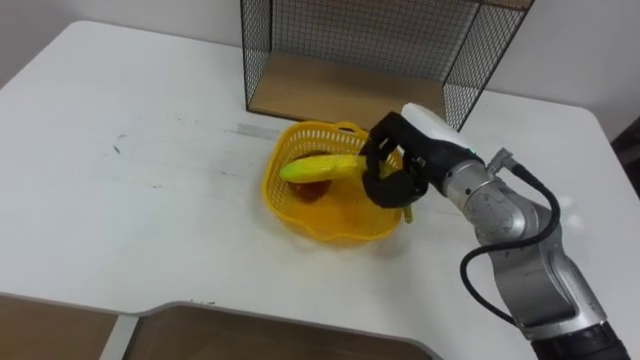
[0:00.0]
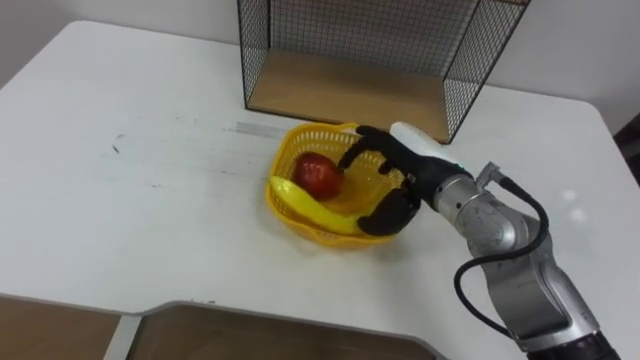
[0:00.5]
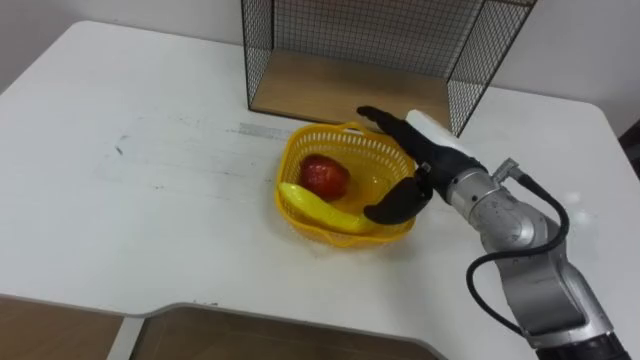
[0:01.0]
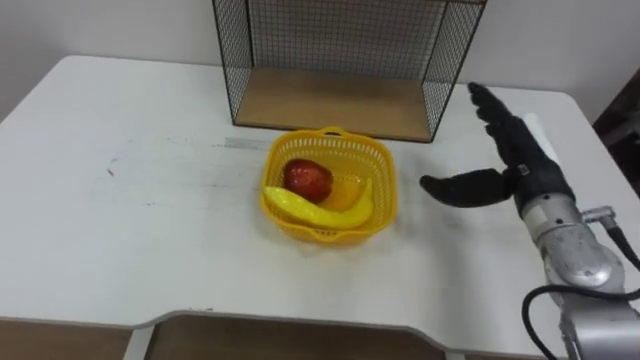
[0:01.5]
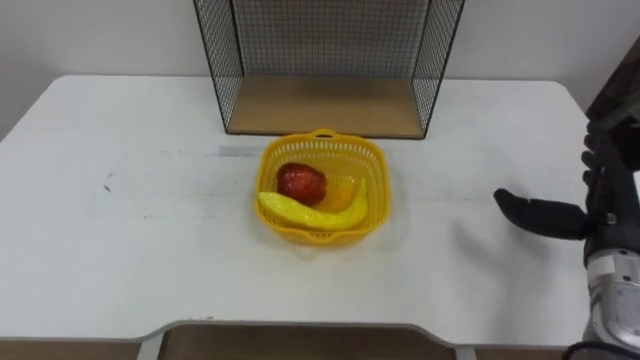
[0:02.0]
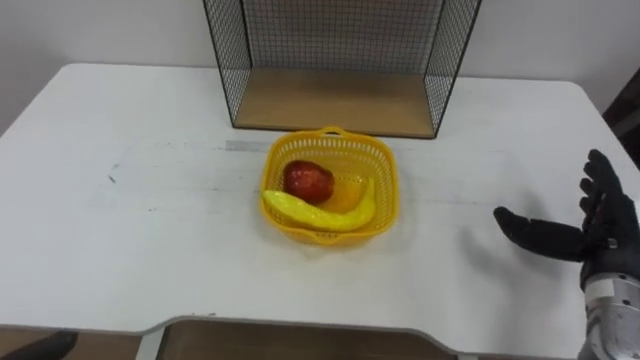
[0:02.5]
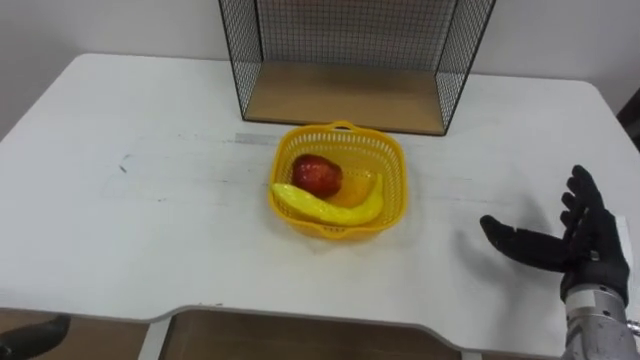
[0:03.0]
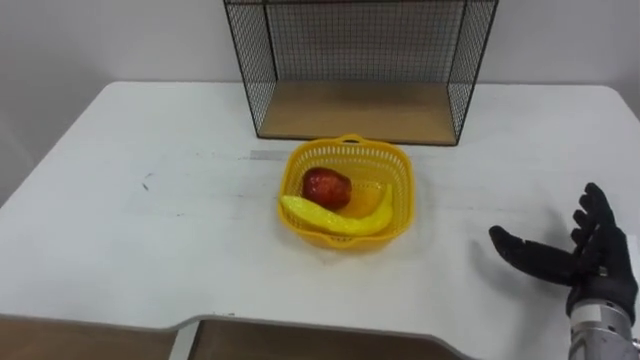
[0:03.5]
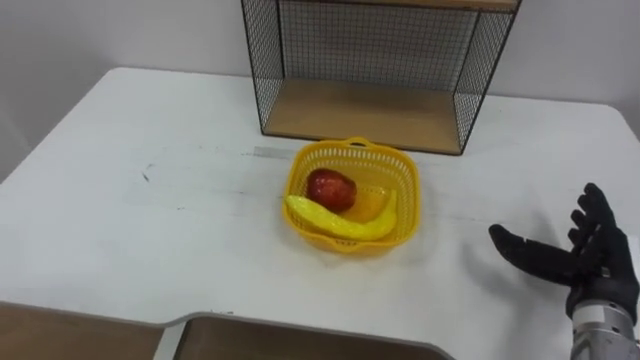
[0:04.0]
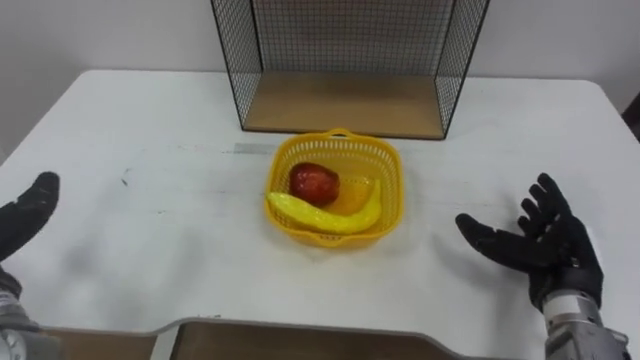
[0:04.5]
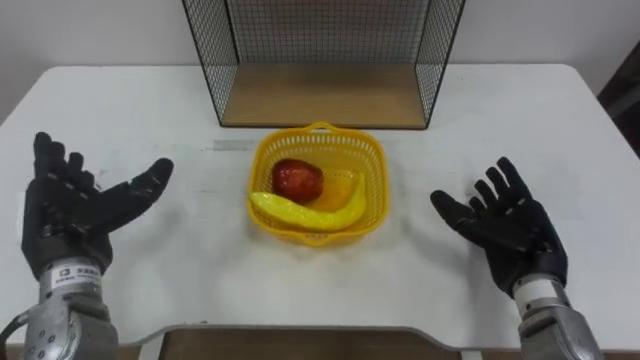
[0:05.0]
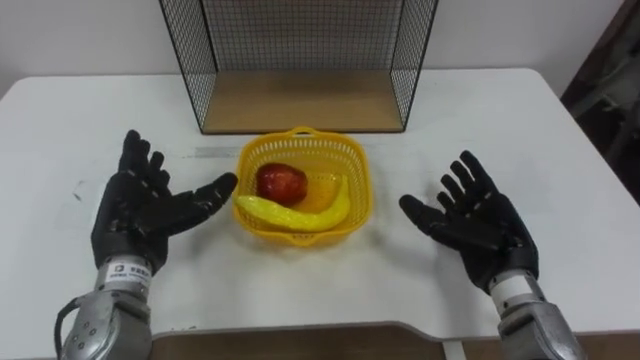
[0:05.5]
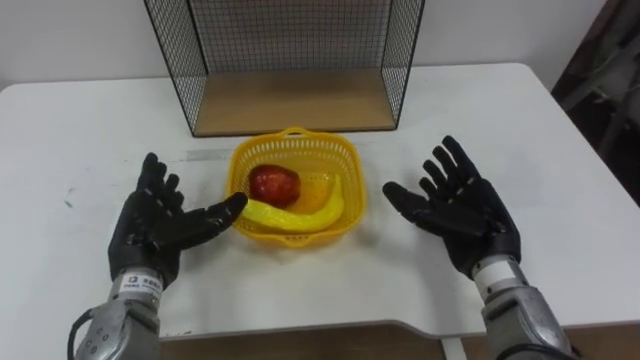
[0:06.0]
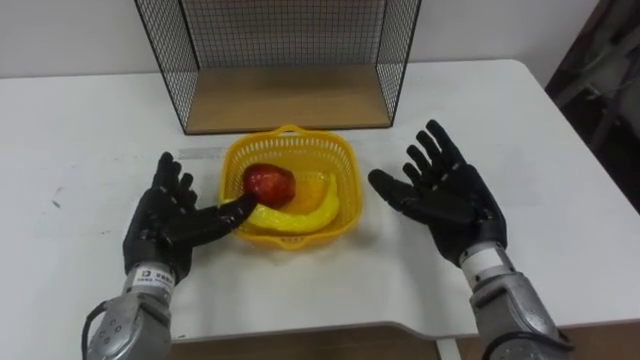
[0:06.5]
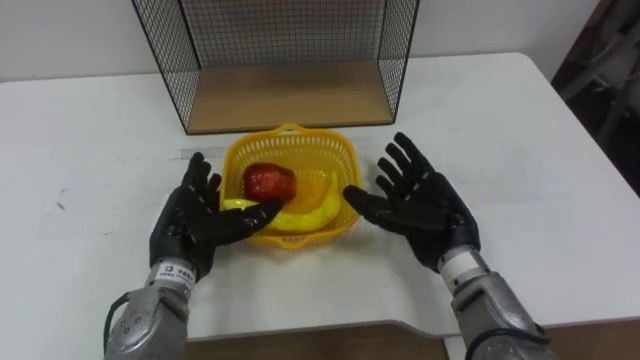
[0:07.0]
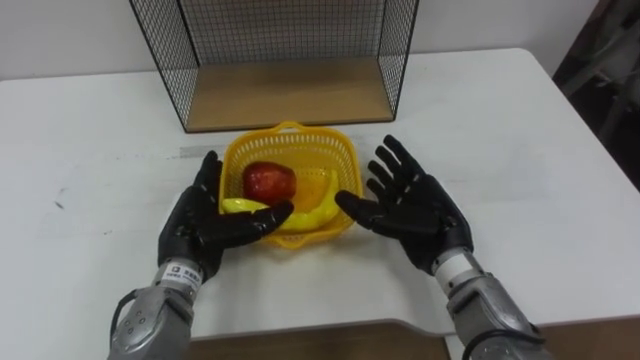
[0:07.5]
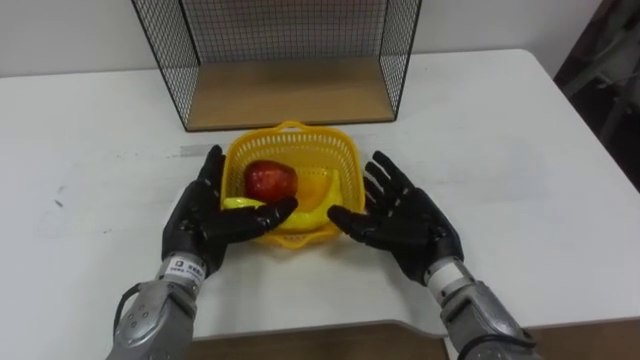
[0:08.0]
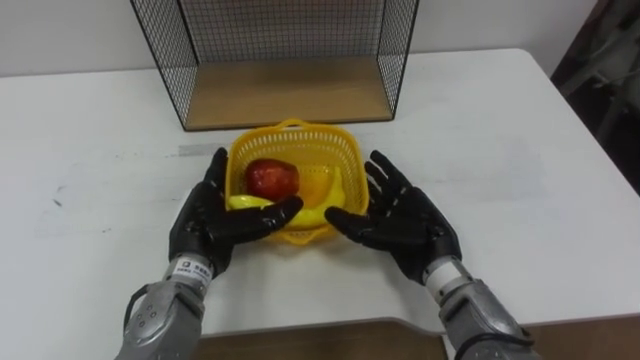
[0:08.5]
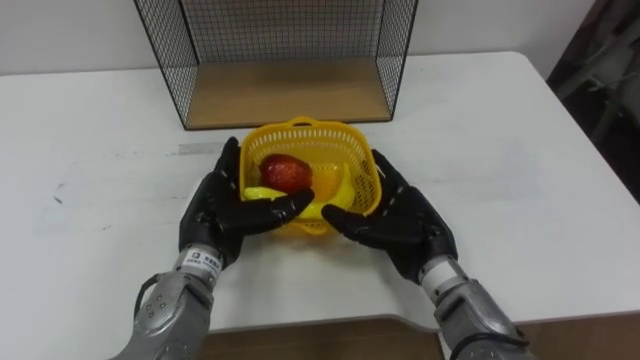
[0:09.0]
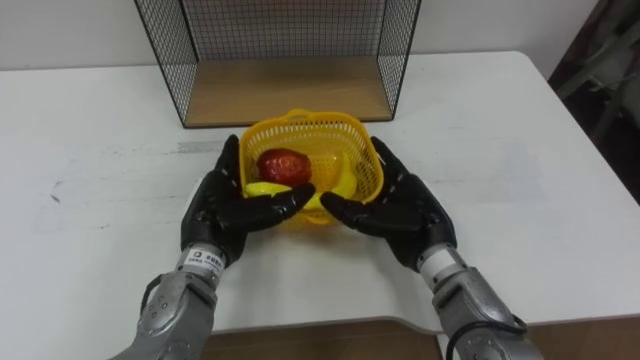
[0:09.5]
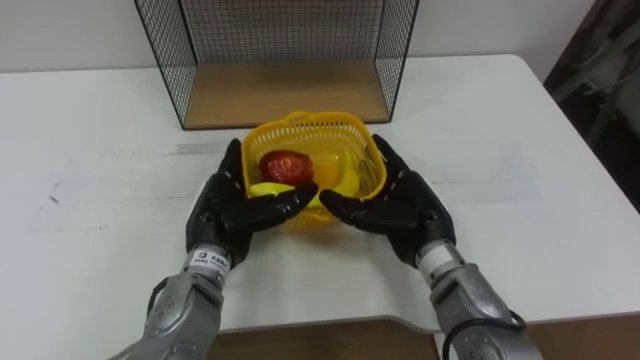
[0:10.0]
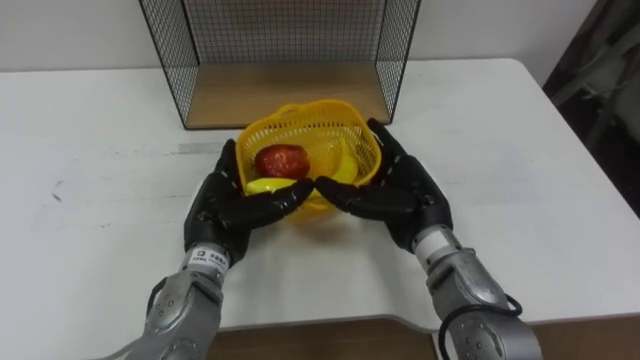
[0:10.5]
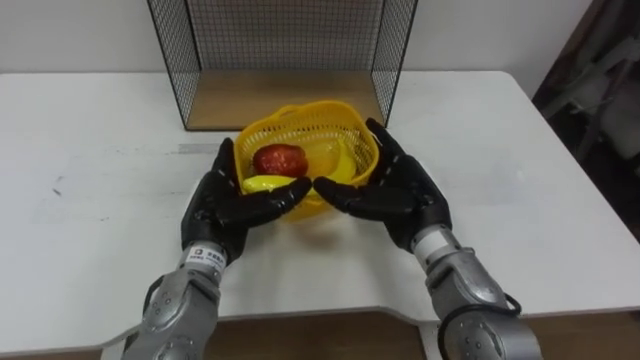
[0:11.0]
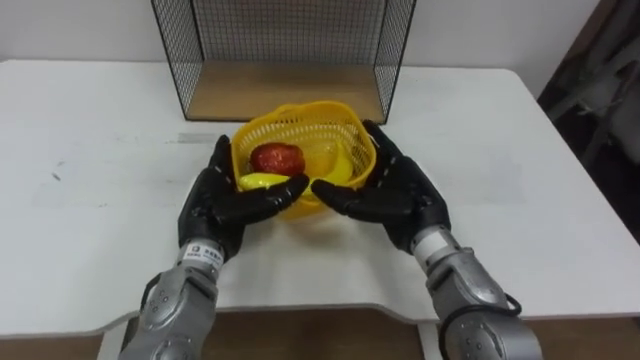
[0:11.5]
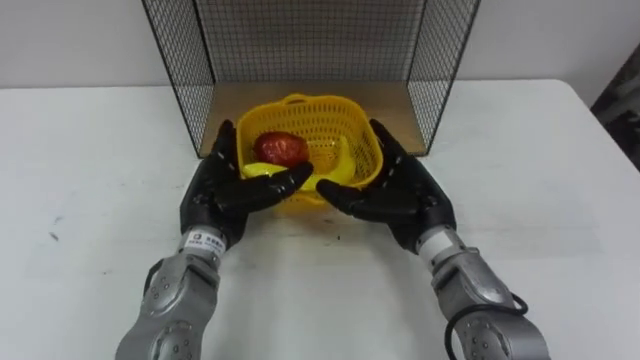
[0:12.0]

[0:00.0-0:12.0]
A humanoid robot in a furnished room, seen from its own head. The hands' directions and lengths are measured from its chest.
Task of the whole recording: Put the fruit on the table into the basket, then place the basket on the shelf.
0:00.0 to 0:02.0: The right hand shifts some 20 cm to the right, and opens.
0:02.0 to 0:04.0: The right hand goes about 5 cm downward.
0:04.0 to 0:06.0: The right hand goes approximately 15 cm to the left and forward.
0:06.0 to 0:08.0: The left hand travels to the right by approximately 5 cm. The right hand heads to the left, covering some 5 cm.
0:08.0 to 0:10.0: There are only small adjustments of the hands.

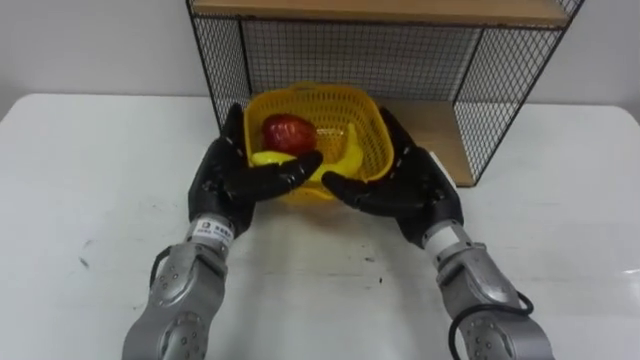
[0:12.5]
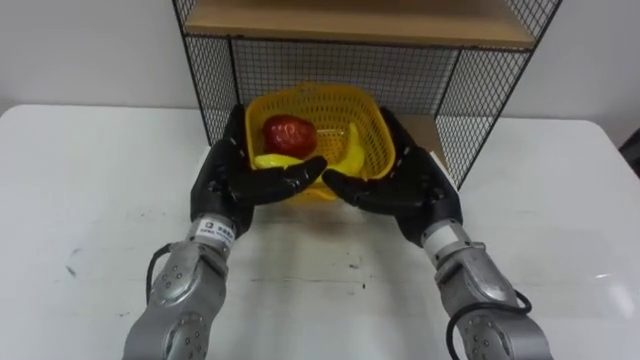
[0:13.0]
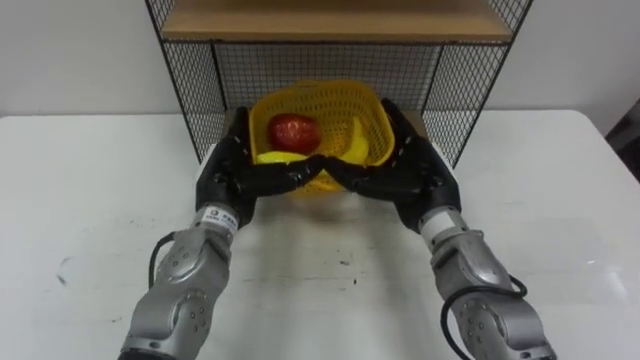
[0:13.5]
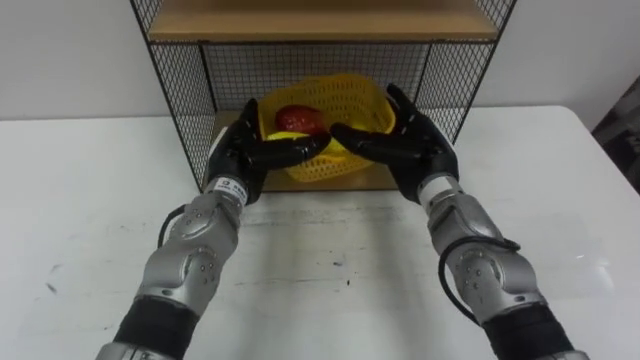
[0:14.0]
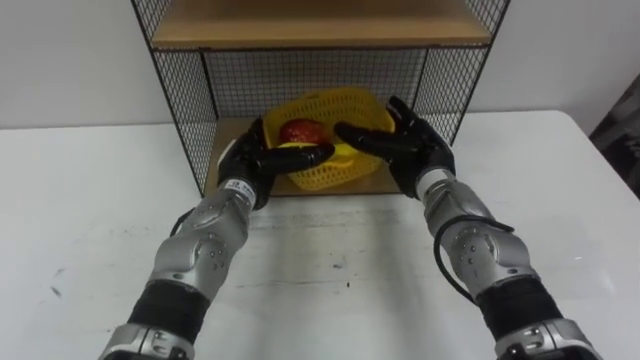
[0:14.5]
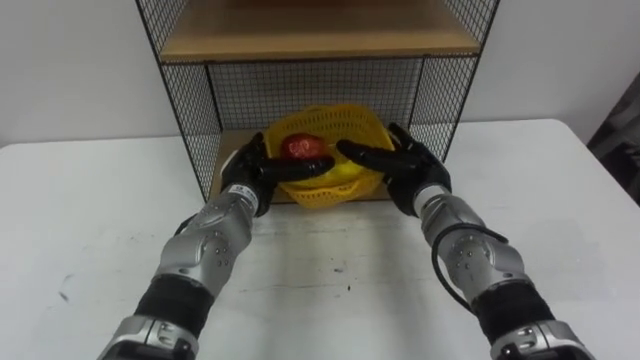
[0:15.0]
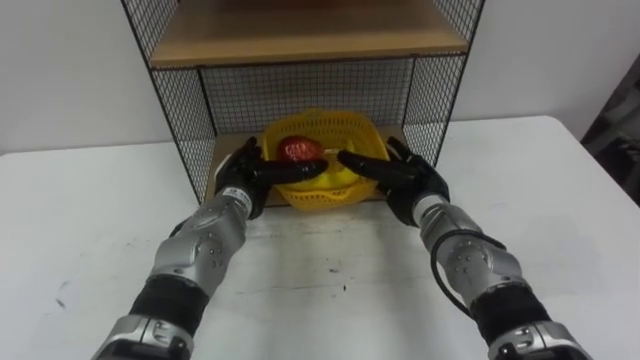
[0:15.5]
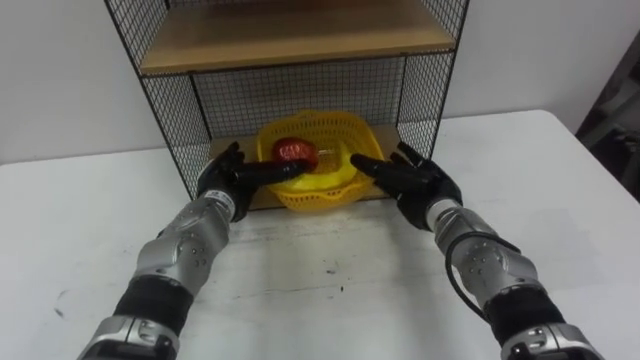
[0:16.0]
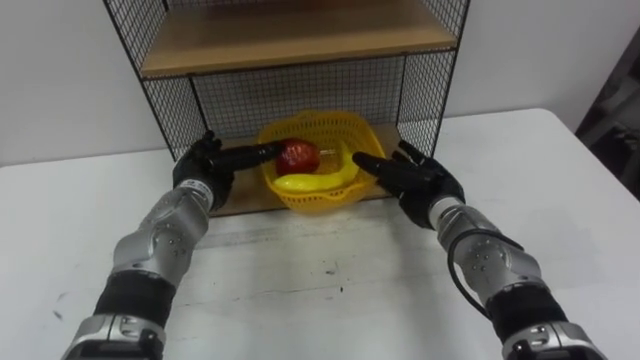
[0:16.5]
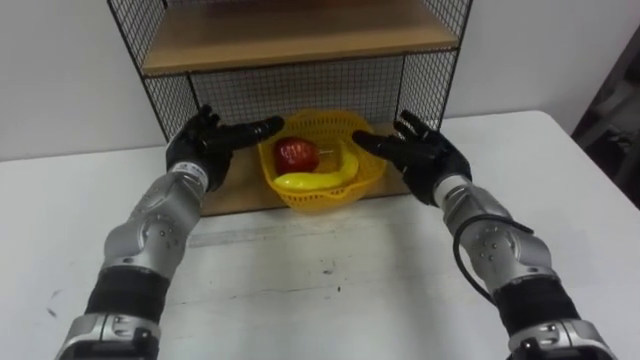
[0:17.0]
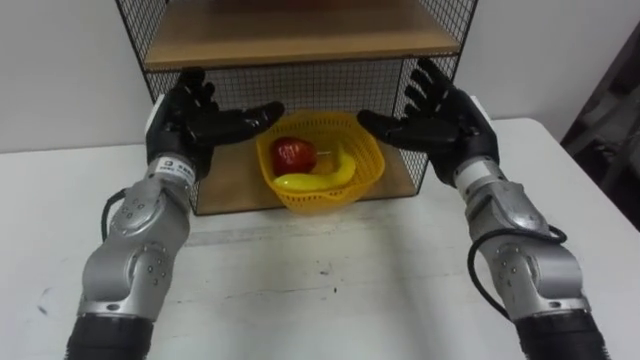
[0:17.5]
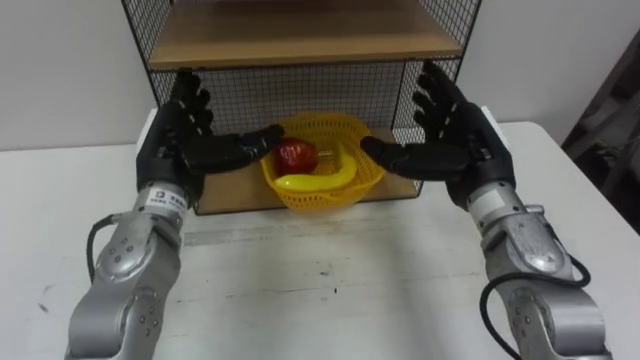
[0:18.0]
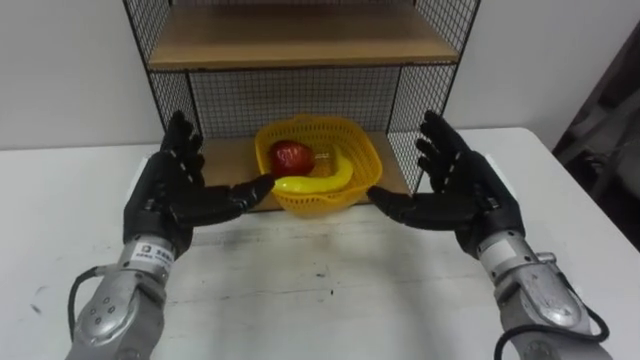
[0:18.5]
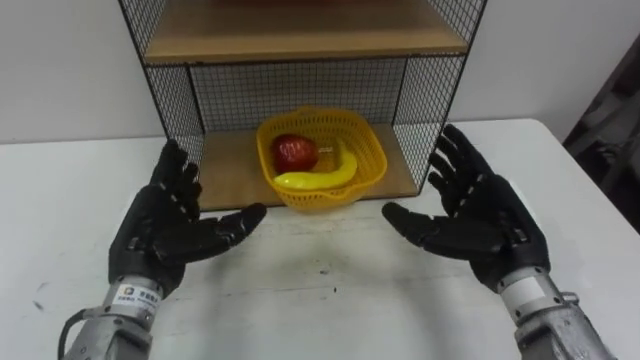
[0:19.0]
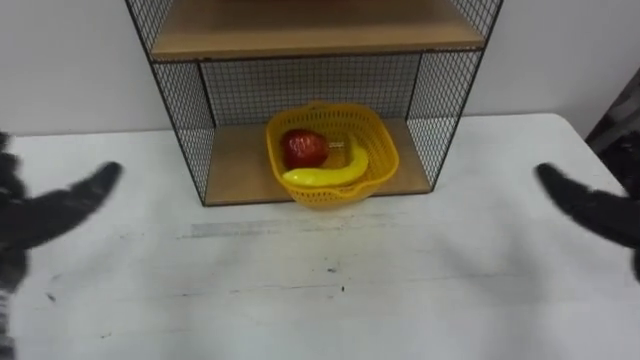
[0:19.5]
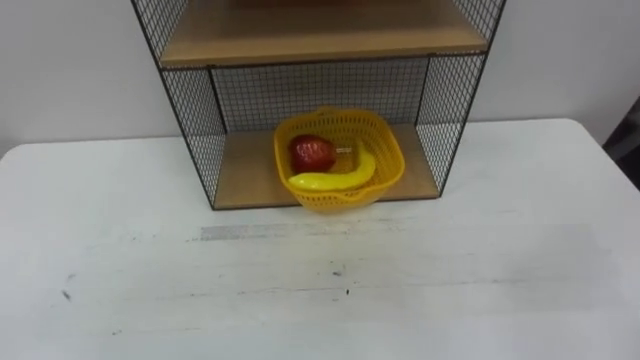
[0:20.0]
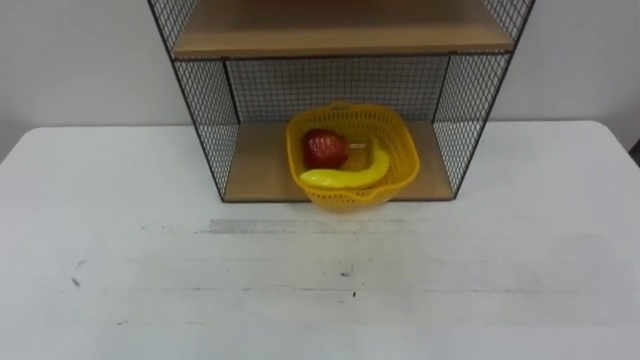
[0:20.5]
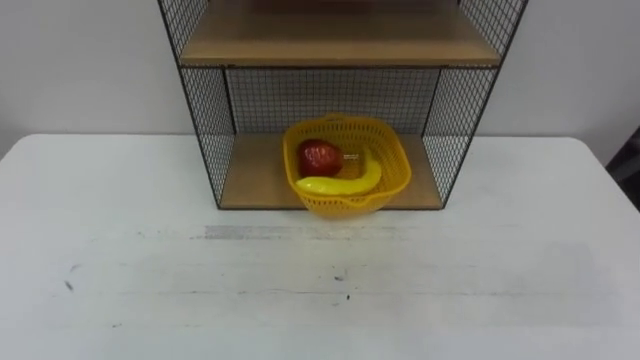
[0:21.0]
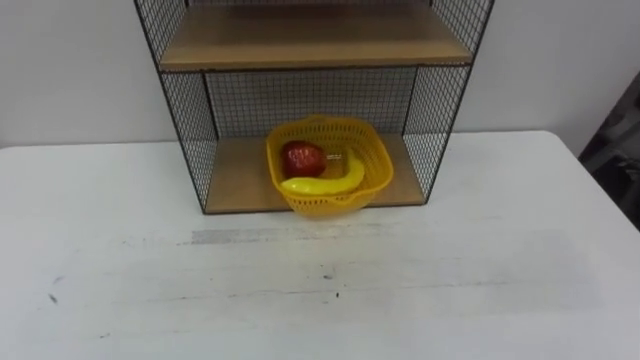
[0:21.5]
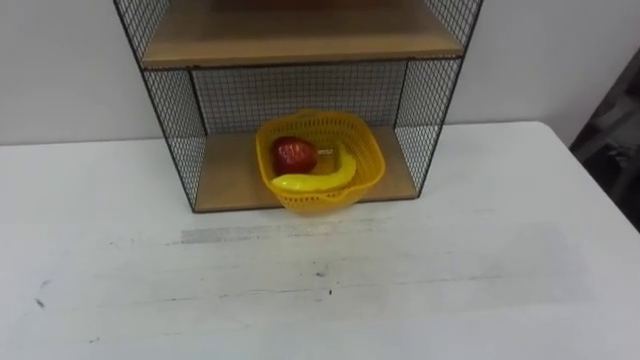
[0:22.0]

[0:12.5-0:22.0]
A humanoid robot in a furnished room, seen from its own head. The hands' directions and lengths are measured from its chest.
Task of the whole recording: Put the fruit on the table into the basket, then place the basket on the shelf.
0:12.5 to 0:14.5: Both hands travel together forward, some 5 cm.
0:14.5 to 0:16.5: The right hand is displaced downward by some 5 cm. Meanwhile the left hand moves to the left, roughly 5 cm.
0:16.5 to 0:18.0: Both hands move upward, roughly 10 cm.
